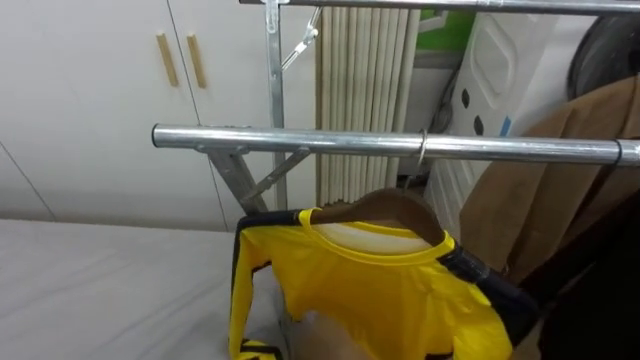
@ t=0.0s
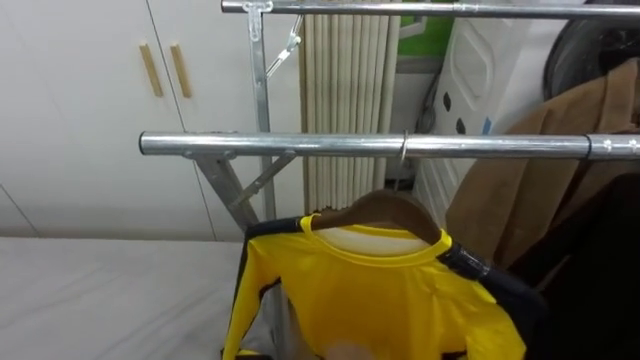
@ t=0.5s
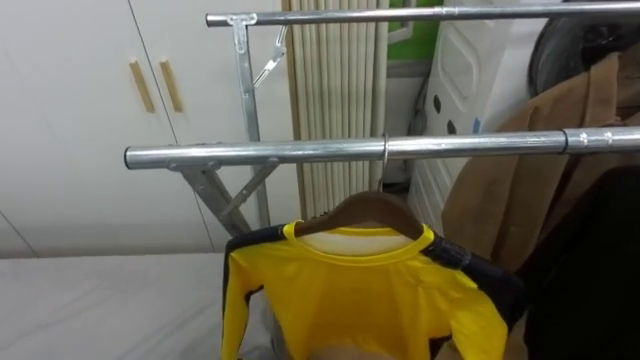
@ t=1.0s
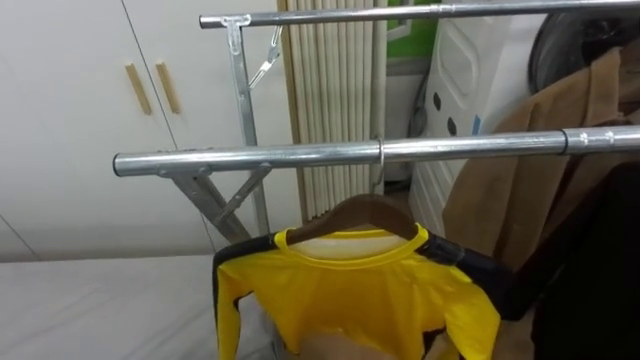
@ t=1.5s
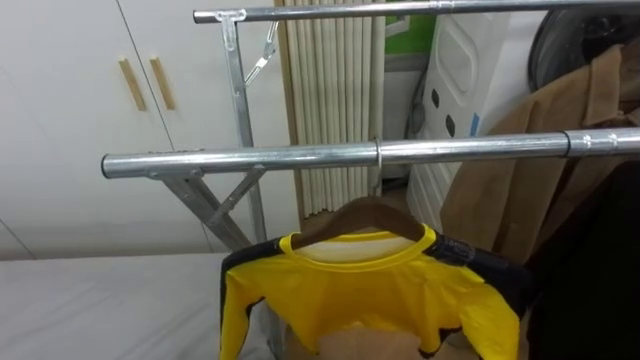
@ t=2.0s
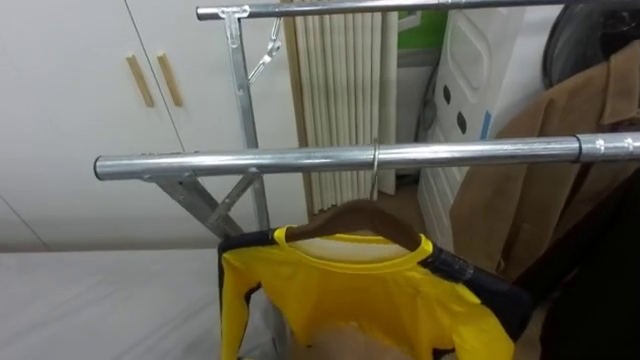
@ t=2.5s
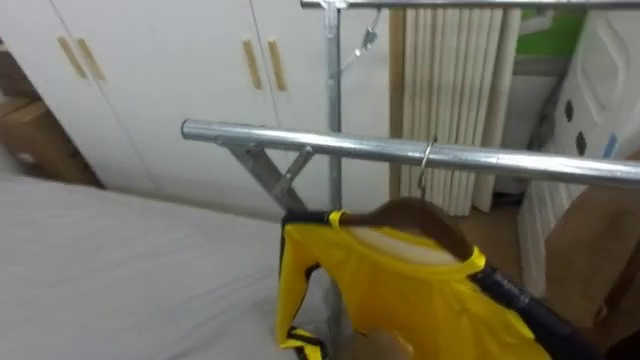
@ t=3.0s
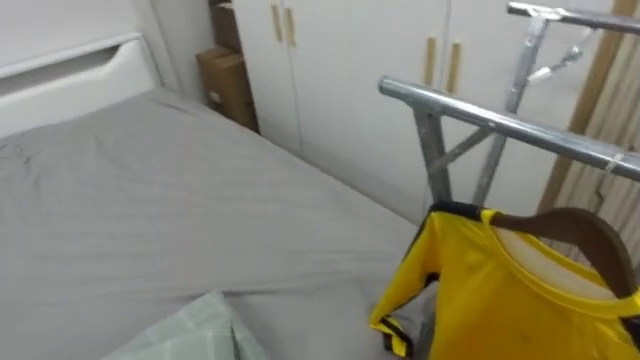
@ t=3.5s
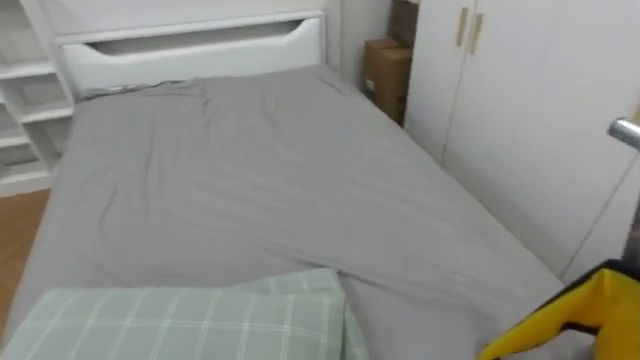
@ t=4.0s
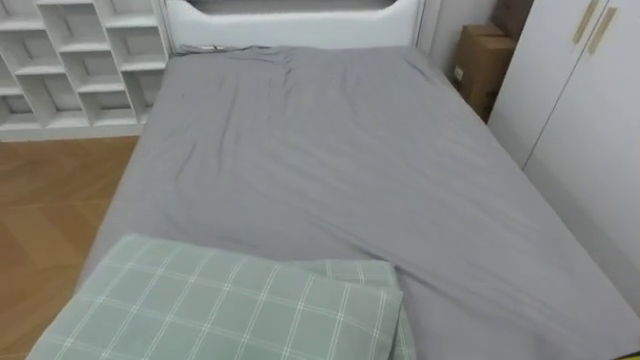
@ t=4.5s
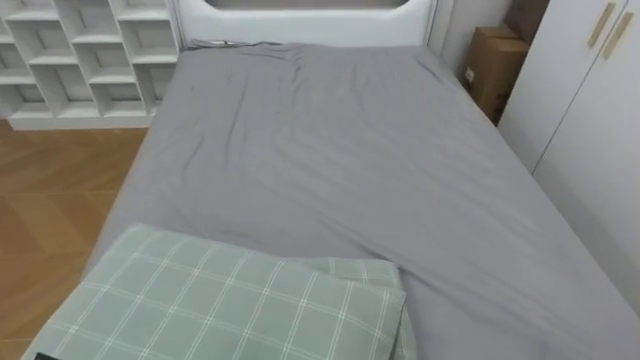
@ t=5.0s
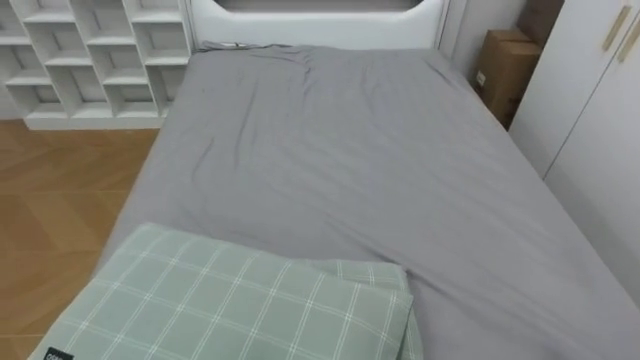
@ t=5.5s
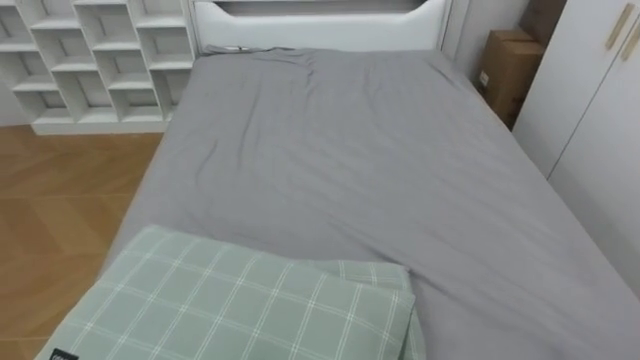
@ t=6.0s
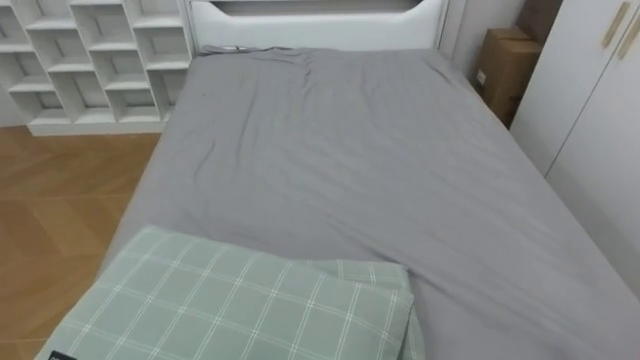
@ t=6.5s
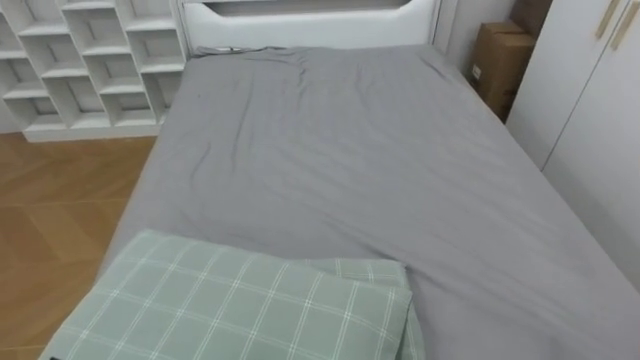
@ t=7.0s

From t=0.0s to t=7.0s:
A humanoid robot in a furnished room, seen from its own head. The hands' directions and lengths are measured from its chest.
Task of the whole recording: Pick up the yellow shirt on the bed and hang it on the clothes rack on the right.
From t=2.0s to t=3.5s: The robot turns to its left by approximately 45 degrees.
From t=3.5s to t=5.0s: The robot faces roughly 40 degrees further to its left.

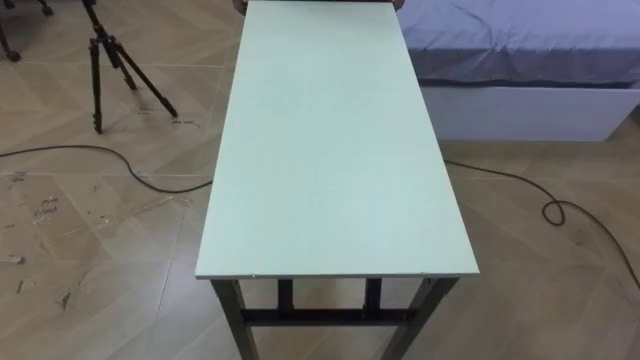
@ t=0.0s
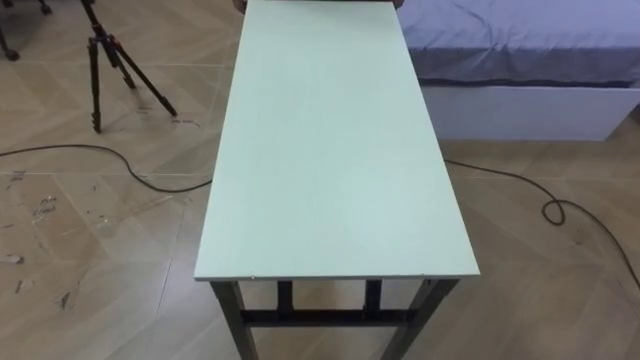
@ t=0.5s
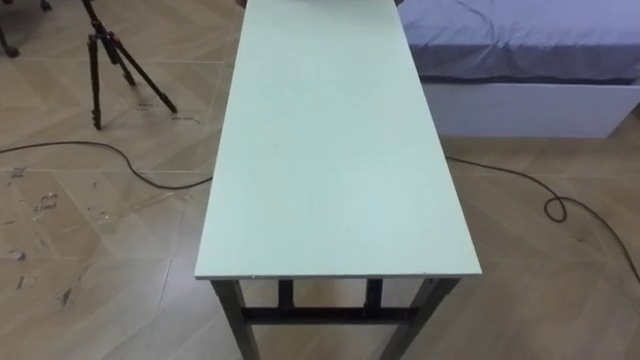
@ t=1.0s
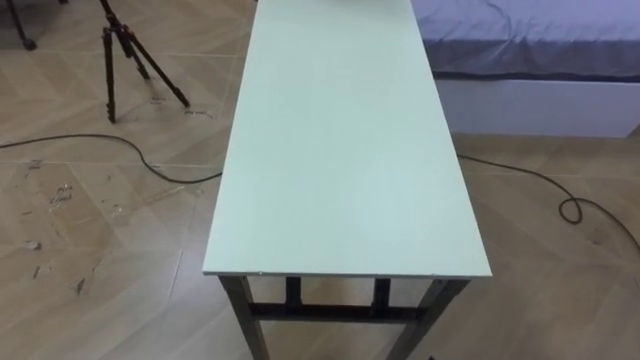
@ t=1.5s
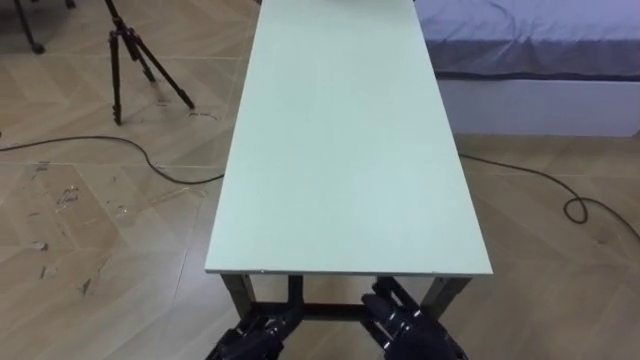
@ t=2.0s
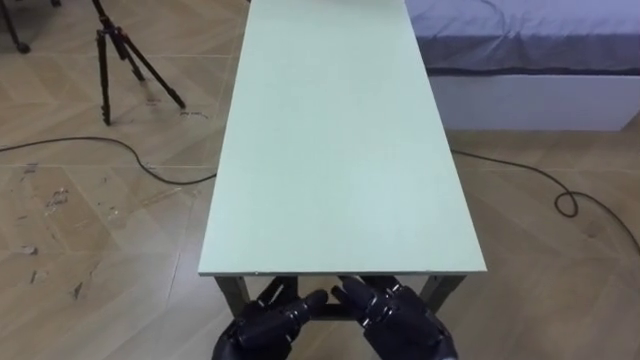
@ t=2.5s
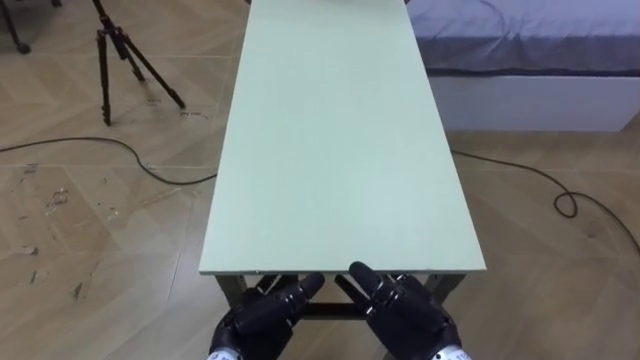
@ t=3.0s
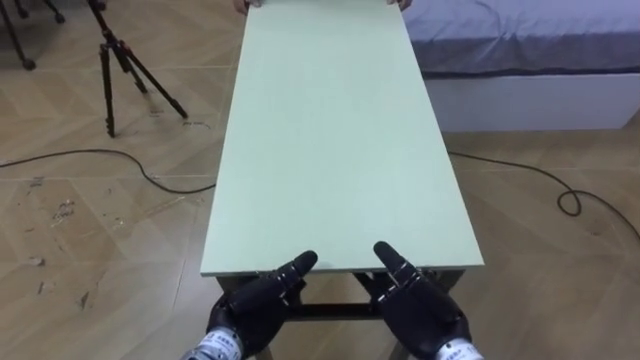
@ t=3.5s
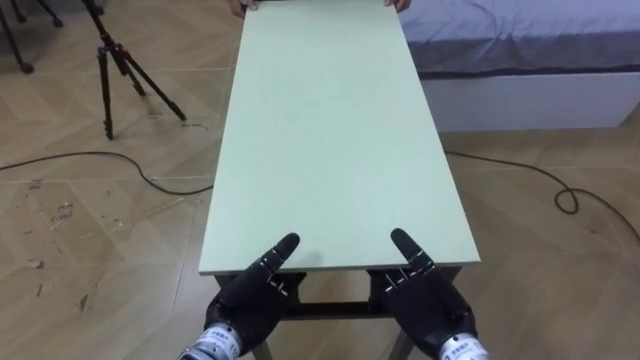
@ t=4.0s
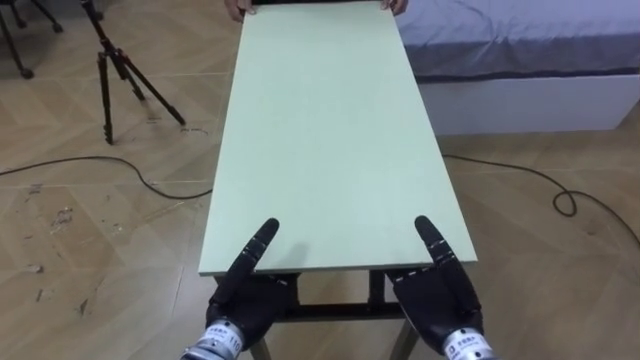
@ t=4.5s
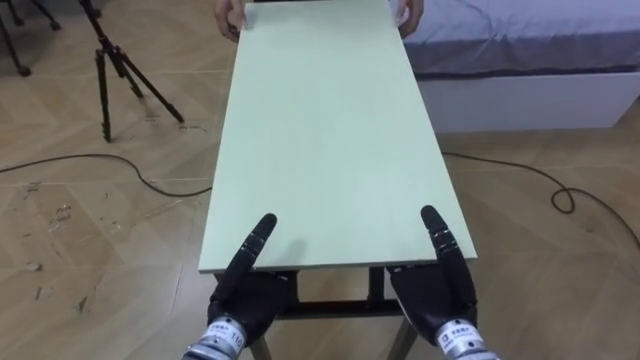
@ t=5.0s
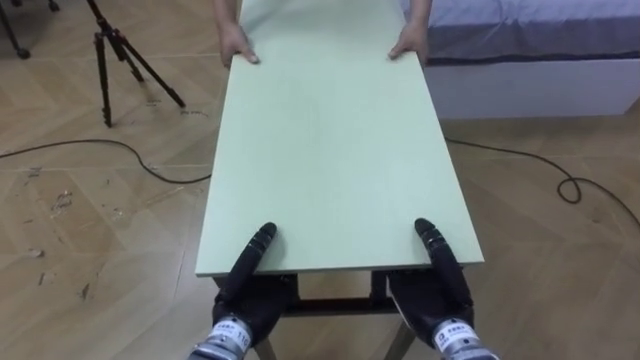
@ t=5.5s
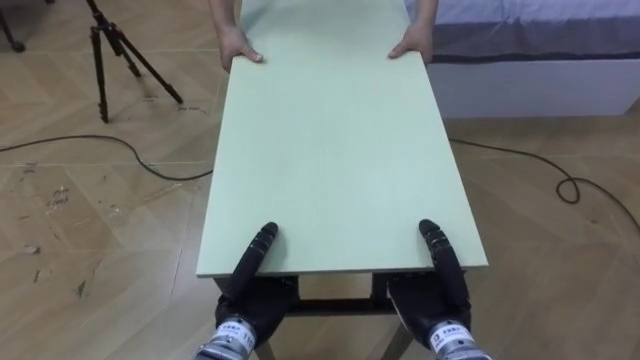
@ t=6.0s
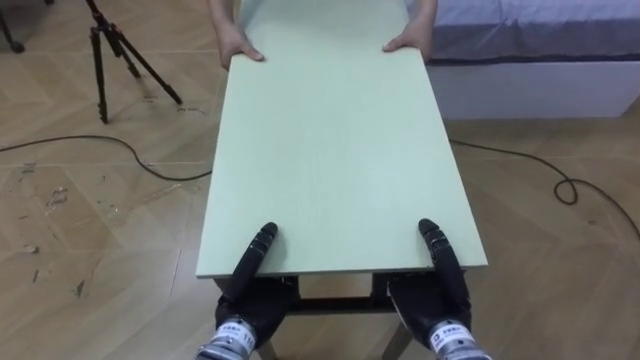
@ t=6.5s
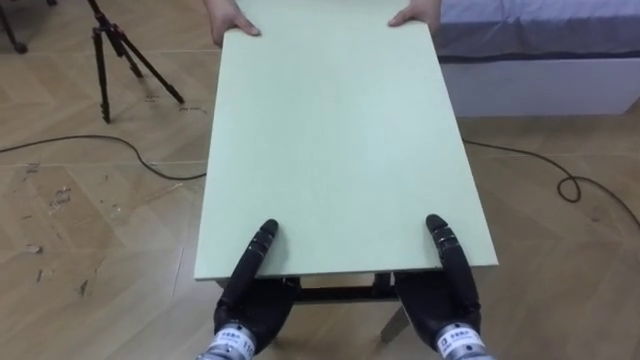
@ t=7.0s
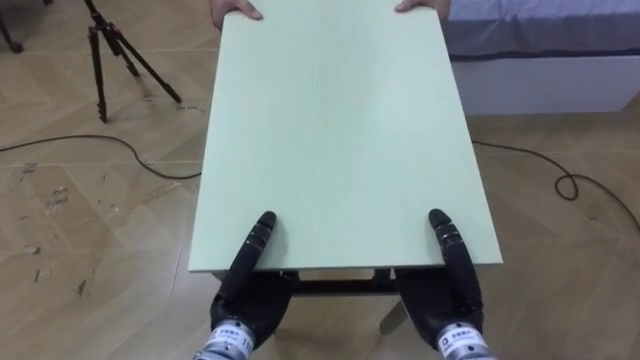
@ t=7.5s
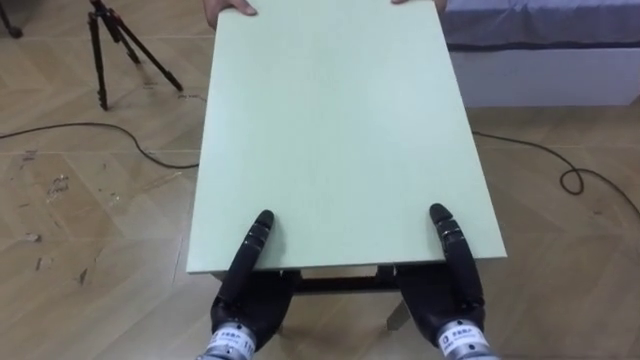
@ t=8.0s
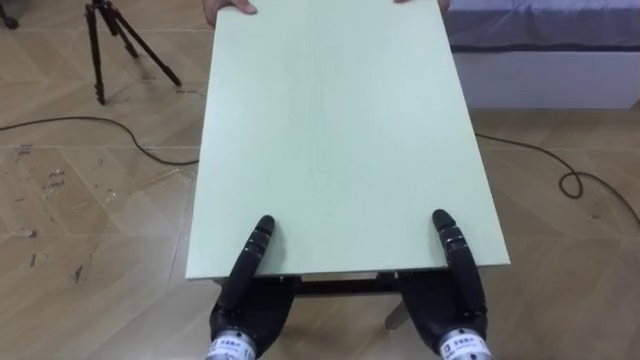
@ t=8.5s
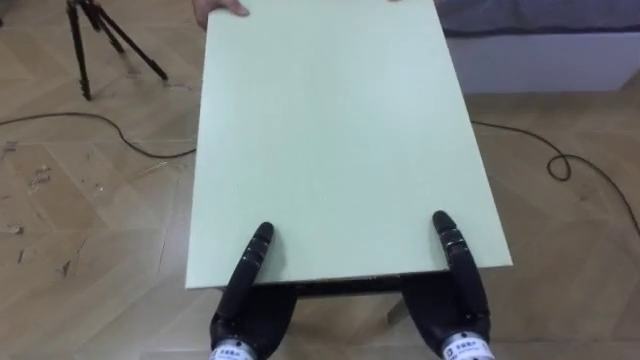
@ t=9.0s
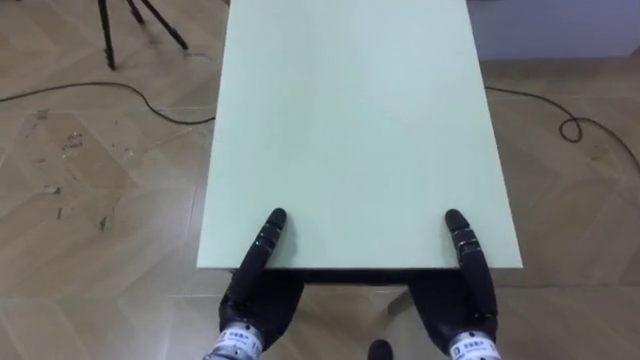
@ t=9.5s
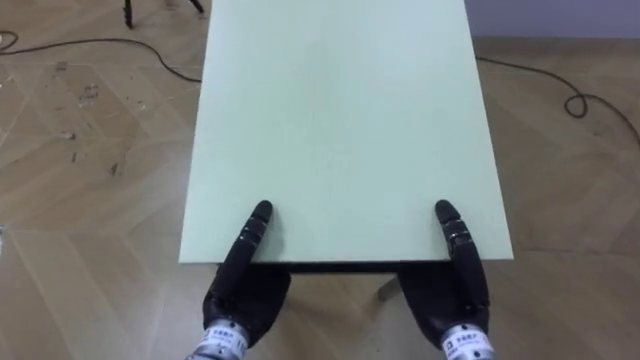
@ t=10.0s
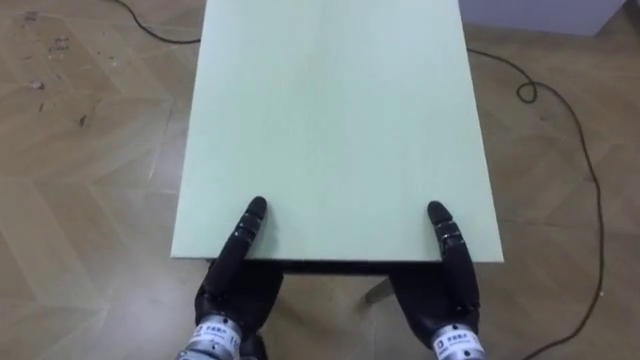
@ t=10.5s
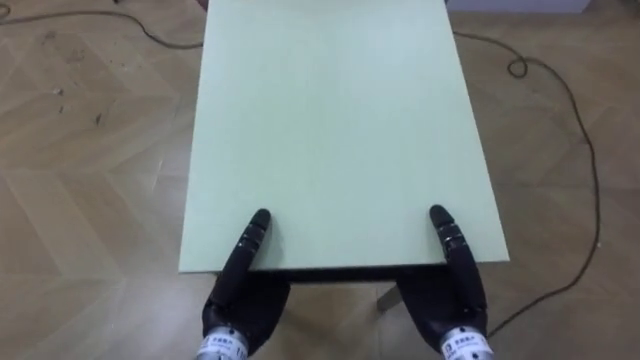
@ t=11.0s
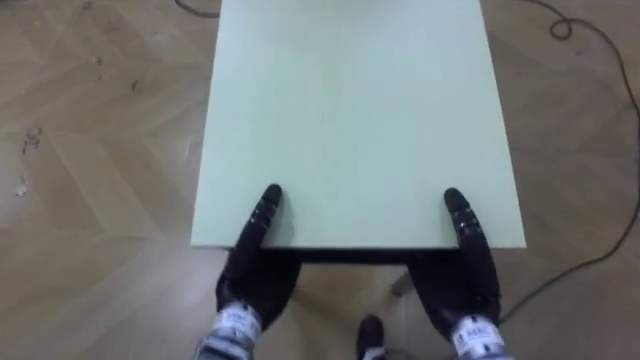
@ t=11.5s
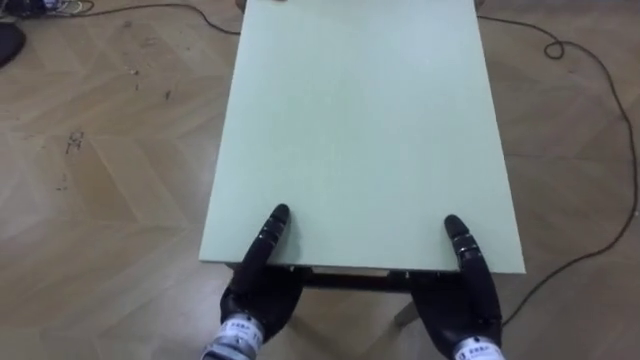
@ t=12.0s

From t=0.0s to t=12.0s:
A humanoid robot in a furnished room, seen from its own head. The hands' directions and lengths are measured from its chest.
Task of the whole recording: Move the table to the back left with someone.
From t=2.0s to t=4.0s: The right hand is displaced forward by approximately 5 cm.
From t=4.0s to t=6.0s: The left hand closes its fingers. The right hand closes.

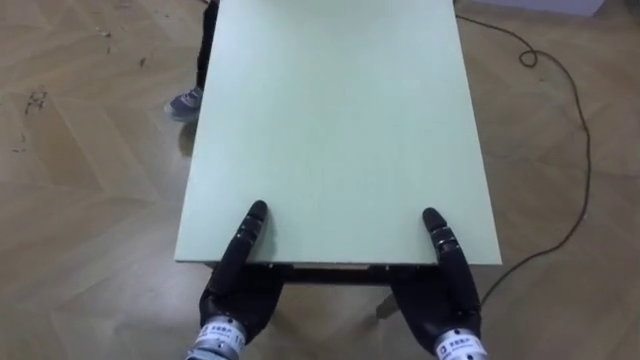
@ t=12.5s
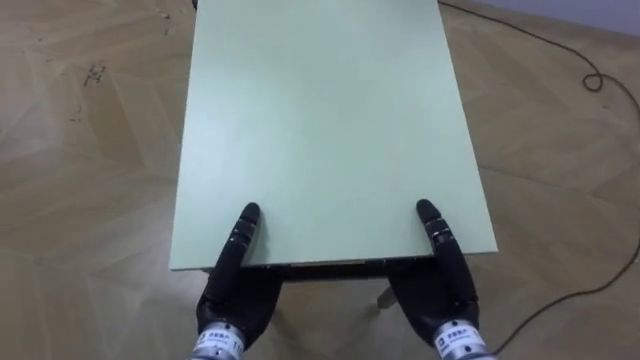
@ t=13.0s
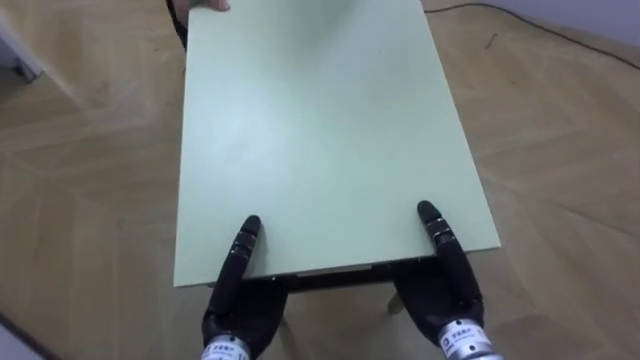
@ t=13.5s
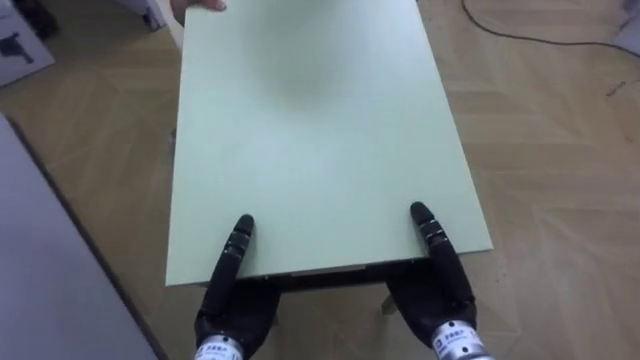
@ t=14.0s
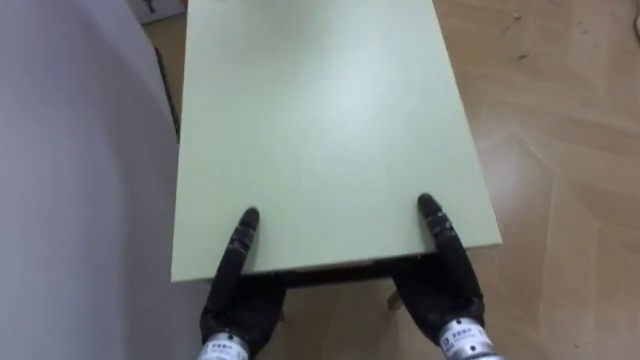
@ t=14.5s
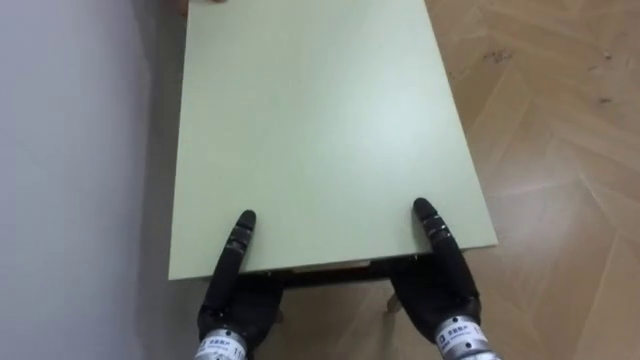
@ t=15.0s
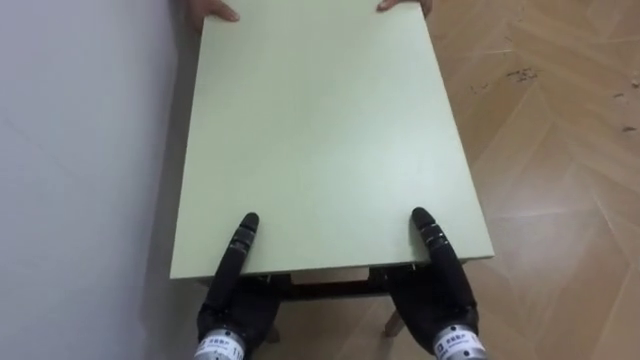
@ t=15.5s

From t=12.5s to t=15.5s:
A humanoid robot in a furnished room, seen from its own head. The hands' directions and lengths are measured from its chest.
Task of the whole recording: Move the table to the back left with someone.
From t=12.5s to t=14.0s: The robot's body swings roughly 35 degrees to its left.
From t=14.0s to t=15.5s: The robot rotates approximately 40 degrees to its left.
